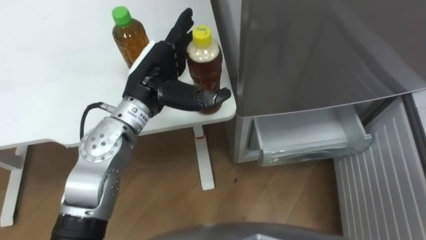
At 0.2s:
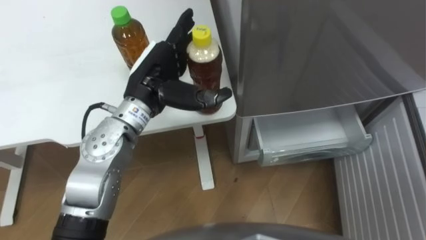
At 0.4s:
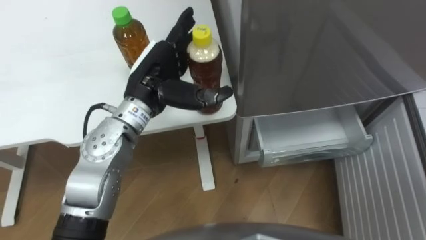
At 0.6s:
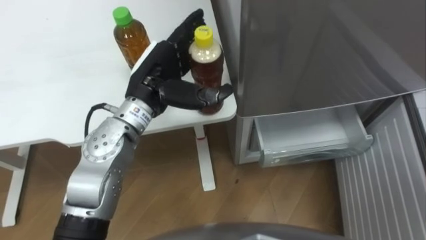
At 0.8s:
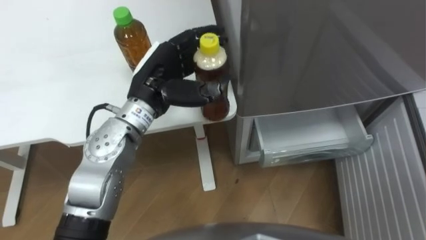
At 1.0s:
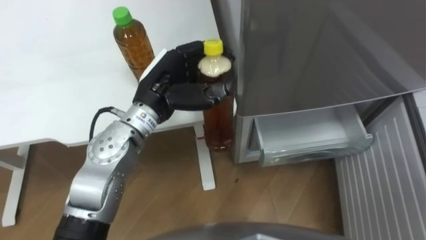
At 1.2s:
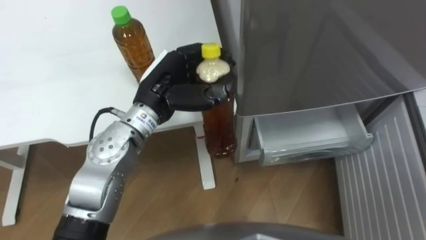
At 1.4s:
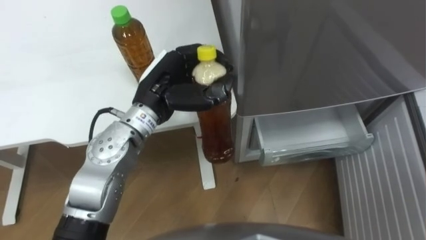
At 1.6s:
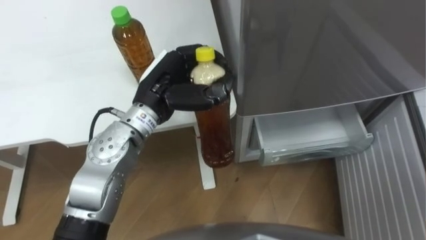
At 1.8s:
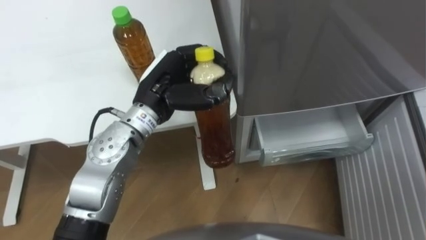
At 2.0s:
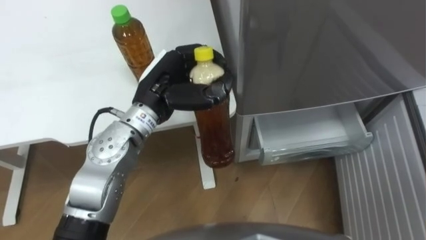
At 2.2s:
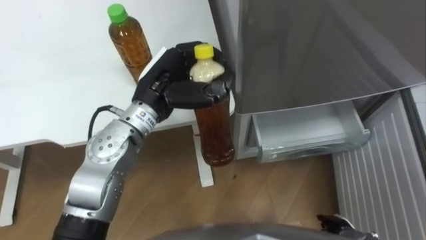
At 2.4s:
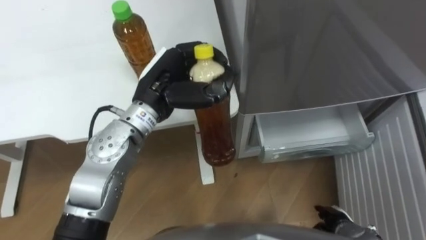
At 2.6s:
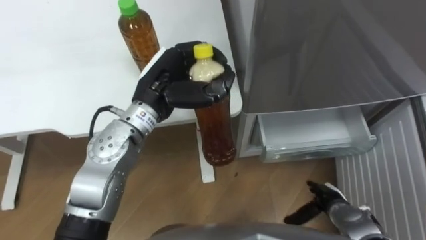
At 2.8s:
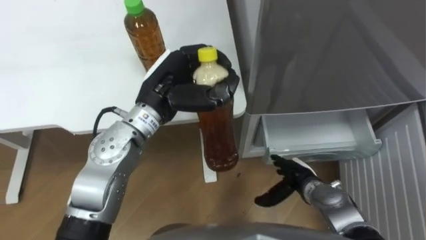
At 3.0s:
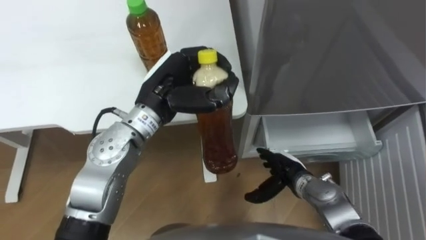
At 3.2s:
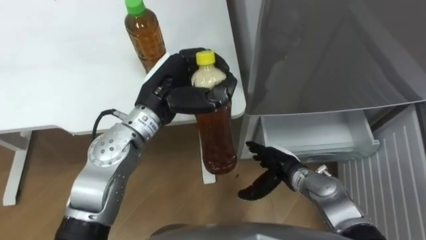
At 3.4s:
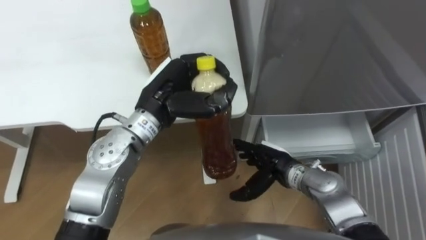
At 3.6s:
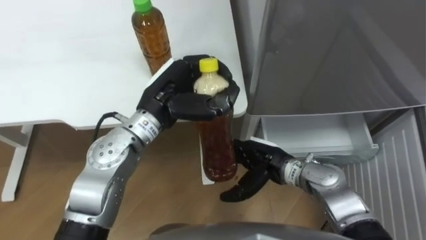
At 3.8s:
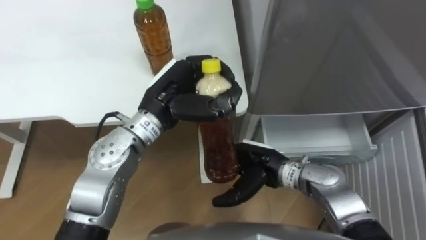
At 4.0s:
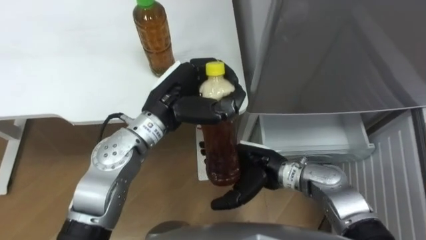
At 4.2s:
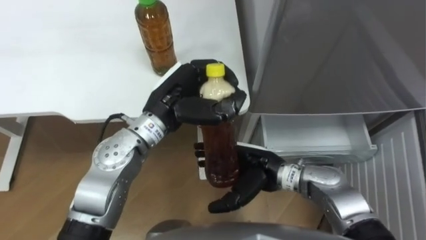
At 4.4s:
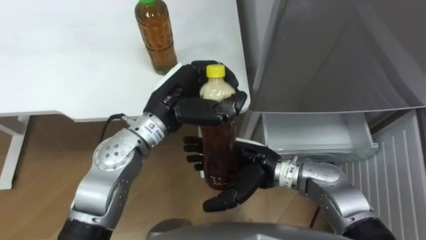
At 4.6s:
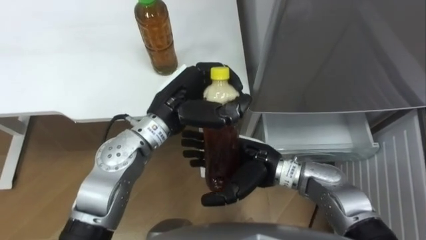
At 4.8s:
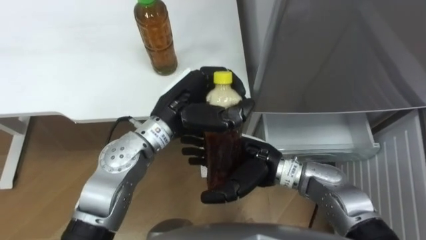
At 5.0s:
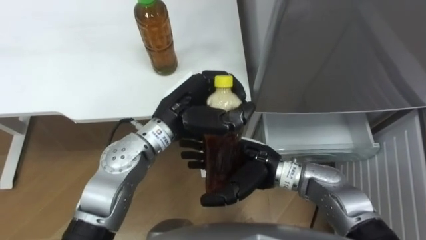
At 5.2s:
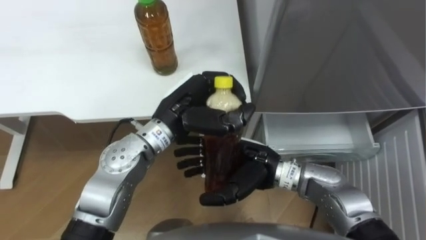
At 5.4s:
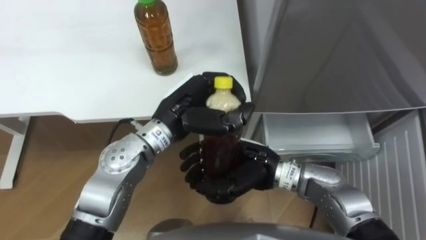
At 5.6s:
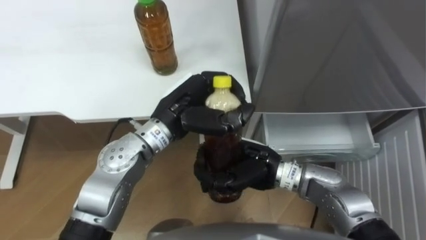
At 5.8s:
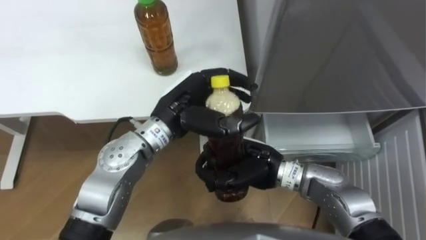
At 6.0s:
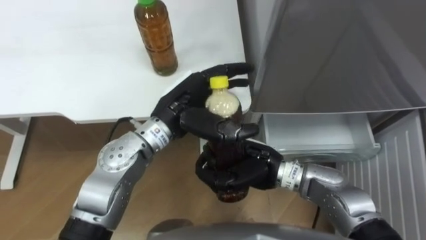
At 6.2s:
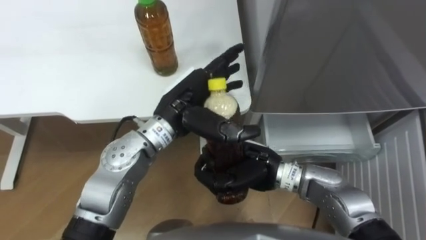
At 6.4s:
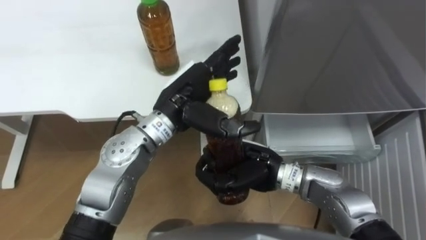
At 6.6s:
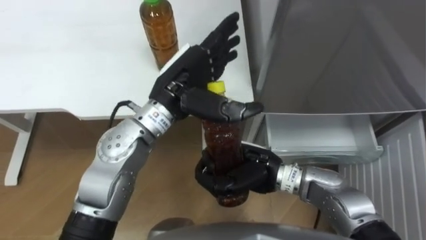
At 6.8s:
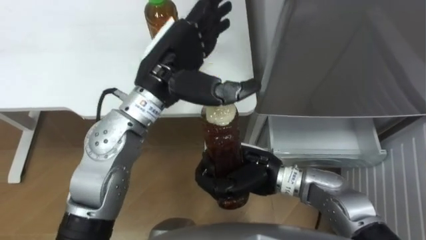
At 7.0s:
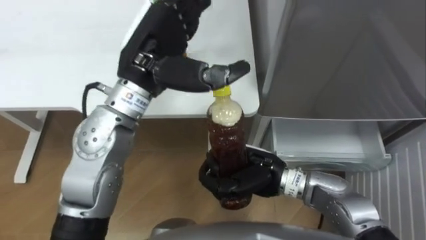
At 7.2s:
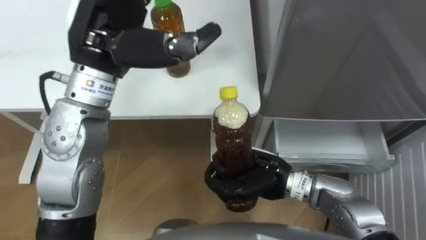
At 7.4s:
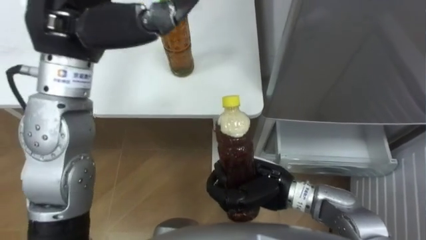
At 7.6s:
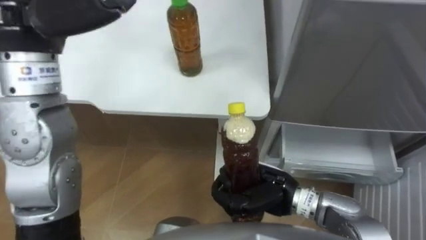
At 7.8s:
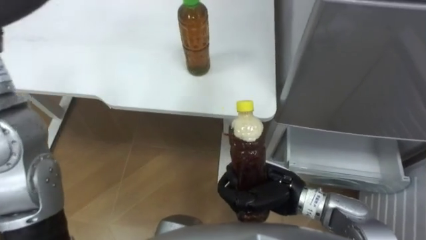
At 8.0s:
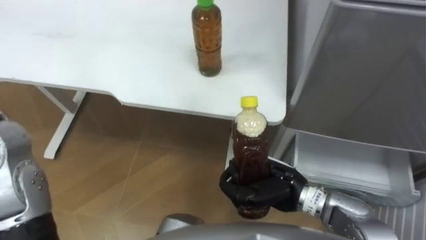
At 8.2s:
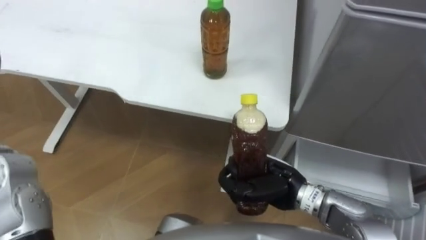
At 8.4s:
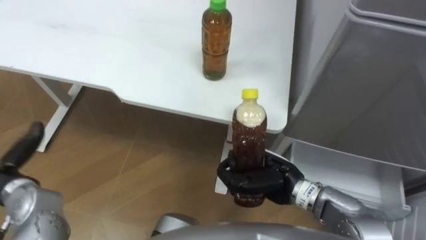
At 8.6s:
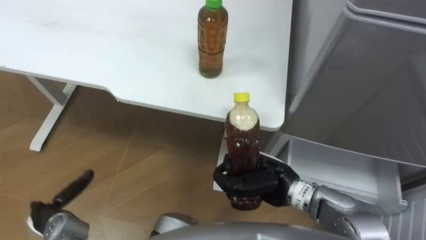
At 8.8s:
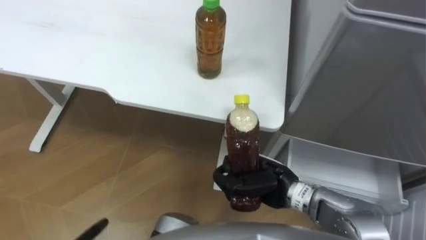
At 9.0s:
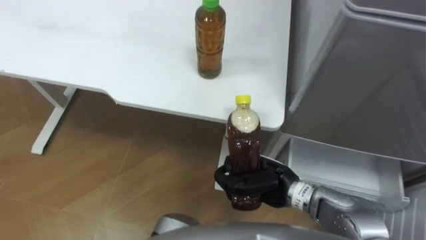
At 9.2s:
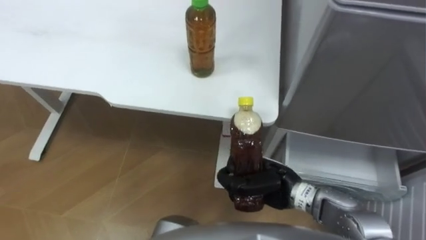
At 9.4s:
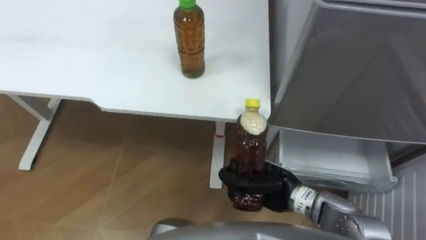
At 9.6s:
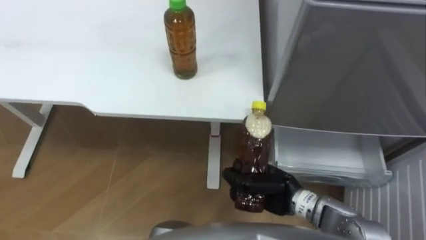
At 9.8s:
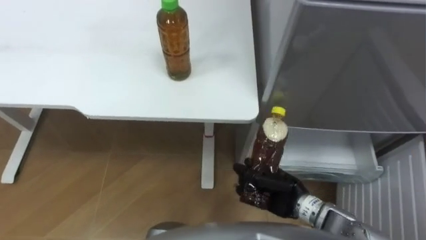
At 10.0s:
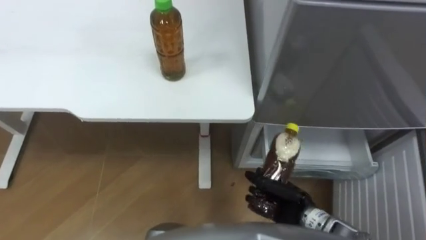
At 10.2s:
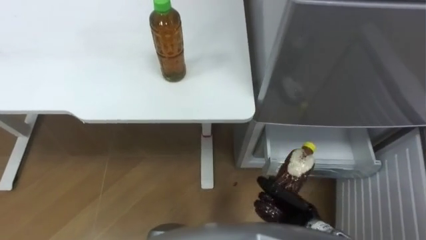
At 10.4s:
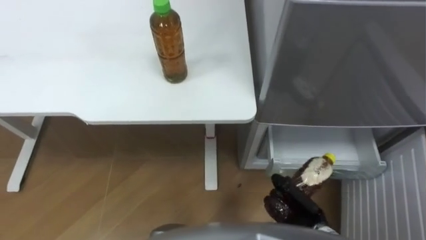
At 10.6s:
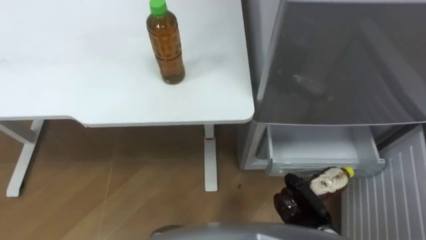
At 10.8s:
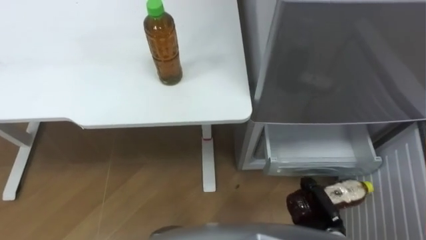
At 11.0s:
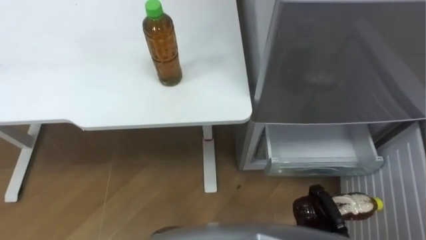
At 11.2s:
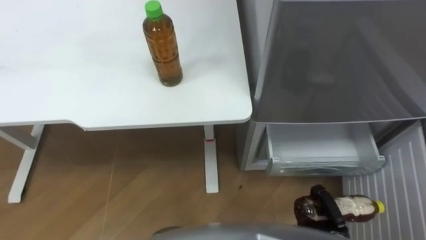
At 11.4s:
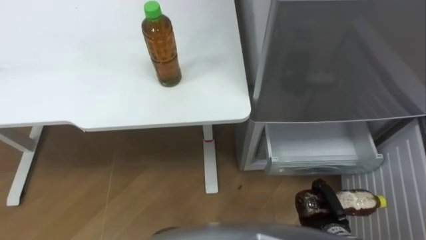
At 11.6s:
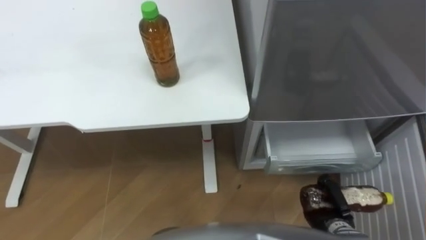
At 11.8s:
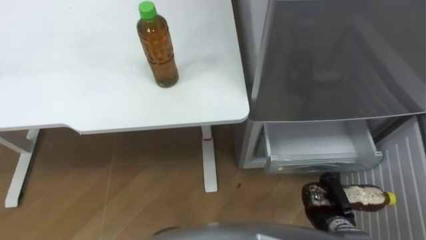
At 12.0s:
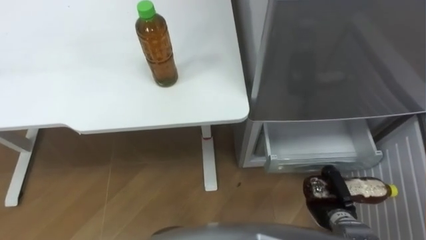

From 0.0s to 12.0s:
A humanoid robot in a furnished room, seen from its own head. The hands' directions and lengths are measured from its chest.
Task of the whole recording: Place the drink on the table on the bottom shelf of the refrigerator, then close the drawer and the refrigerator door.
From 0.0s to 1.6s: The left hand closes up.
From 3.0s to 4.4s: The right hand goes about 15 cm upward and to the left.
From 4.4s to 6.0s: The right hand closes up. Meanwhile the left hand opens up.
From 6.0s to 7.6s: The right hand moves approximately 5 cm; the left hand goes some 25 cm upward and to the left.
From 9.0s to 10.4s: The right hand travels downward, to the right and backward by roughly 15 cm.
From 10.4s to 12.0s: The right hand travels to the right by approximately 10 cm.

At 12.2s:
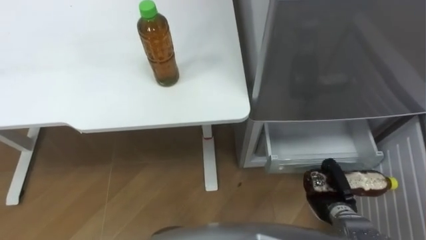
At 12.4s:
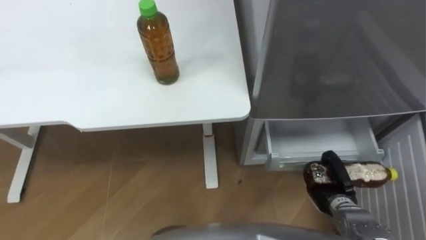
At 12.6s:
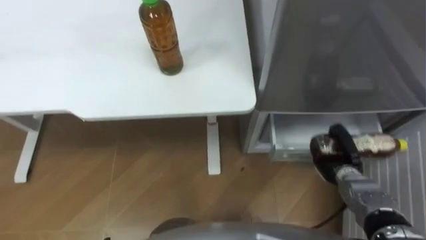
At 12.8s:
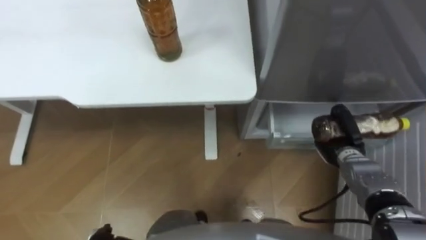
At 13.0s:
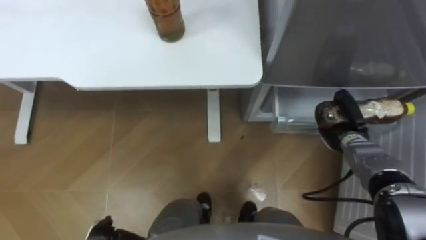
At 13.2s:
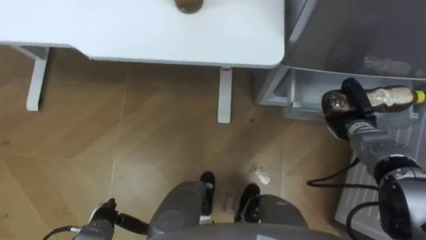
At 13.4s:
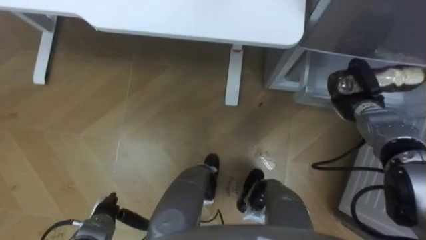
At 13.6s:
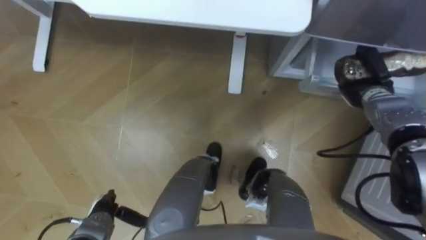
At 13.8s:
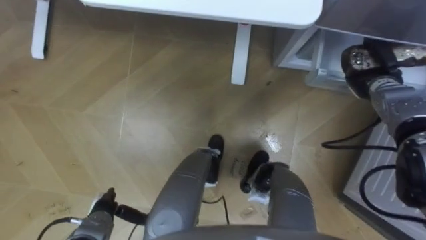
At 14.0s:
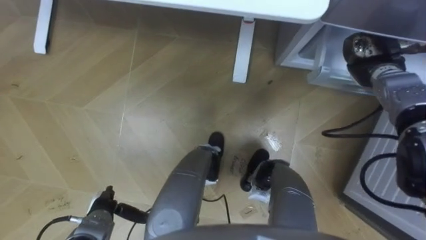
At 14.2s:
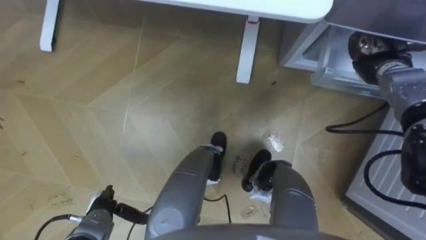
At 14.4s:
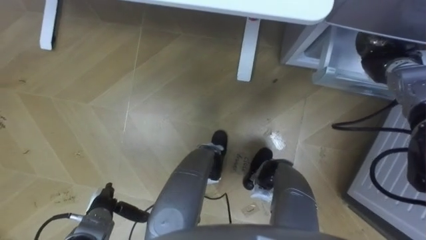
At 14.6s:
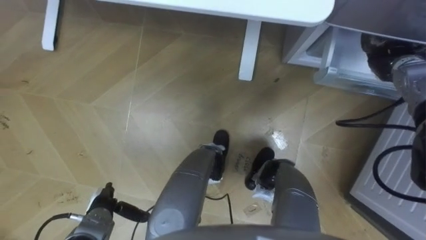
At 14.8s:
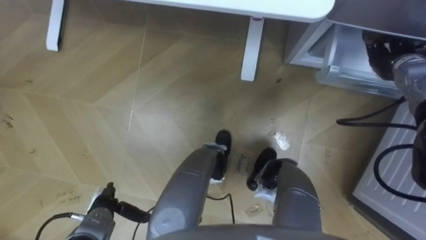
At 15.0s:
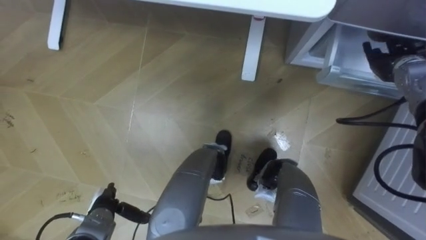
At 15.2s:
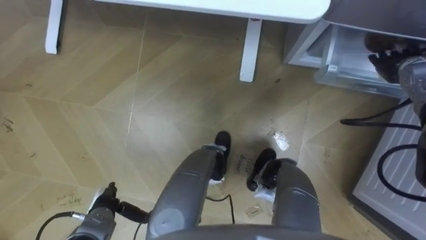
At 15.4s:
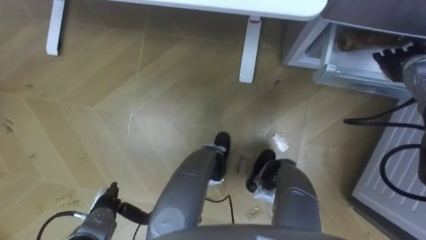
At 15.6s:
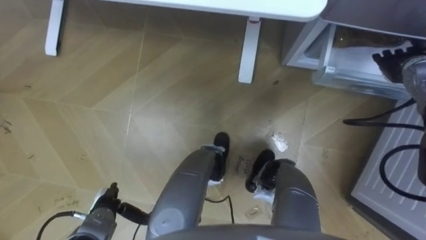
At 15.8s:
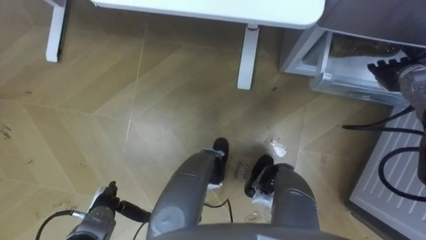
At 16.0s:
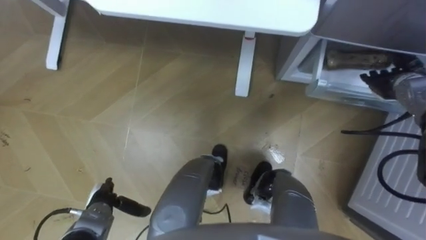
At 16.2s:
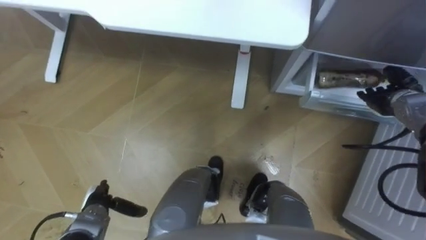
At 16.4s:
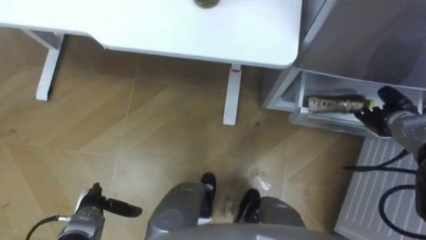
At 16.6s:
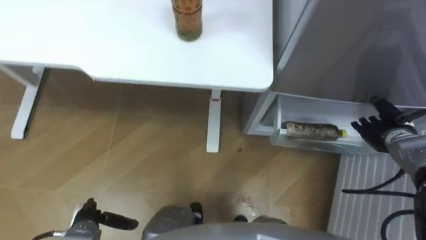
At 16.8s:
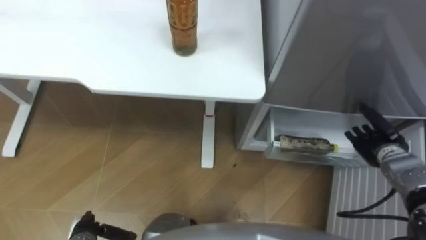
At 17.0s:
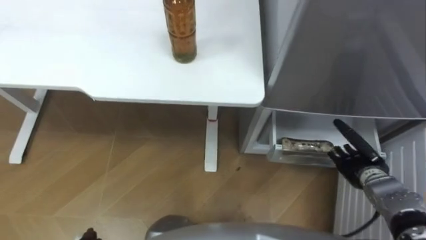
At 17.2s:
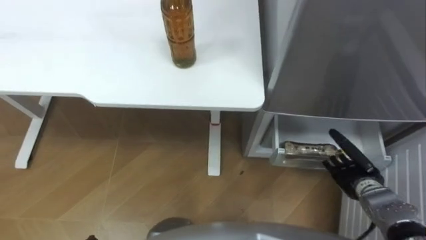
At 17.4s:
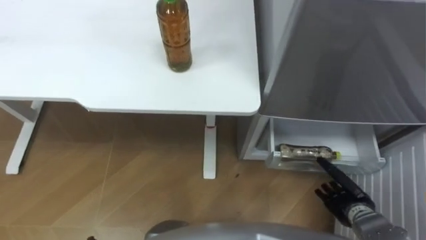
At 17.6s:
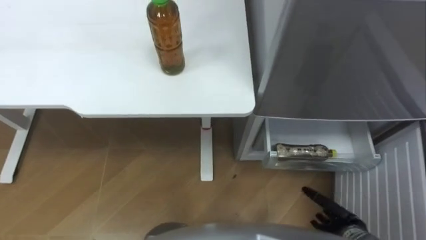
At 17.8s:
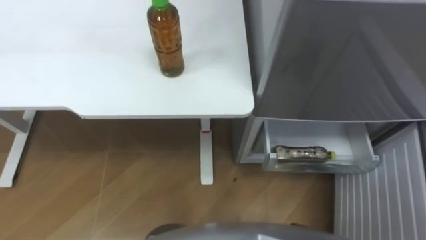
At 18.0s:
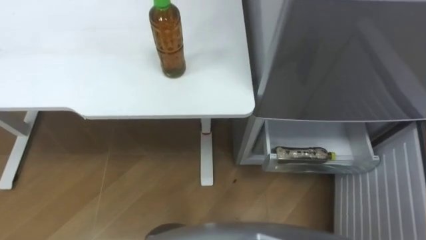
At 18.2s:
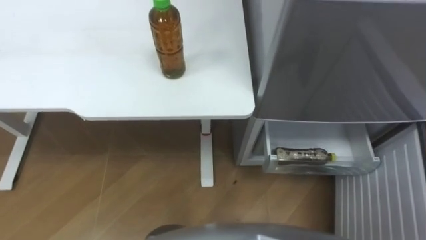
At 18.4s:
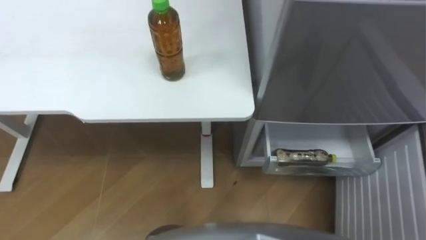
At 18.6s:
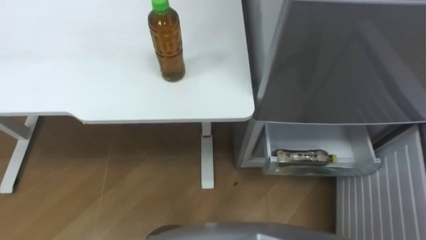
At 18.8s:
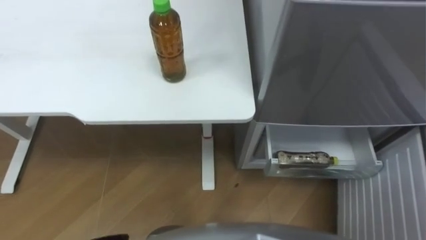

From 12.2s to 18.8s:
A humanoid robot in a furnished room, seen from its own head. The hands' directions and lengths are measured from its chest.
Task of the whole recording: Place the drink on the table on the bottom shelf of the refrigerator, then close the drawer and the refrigerator door.
From 12.2s to 13.8s: The right hand travels forward and upward by approximately 30 cm.
From 13.8s to 15.4s: The right hand ends up about 5 cm from where it was, and opens up.
From 15.4s to 17.2s: The right hand goes about 25 cm backward and downward.
